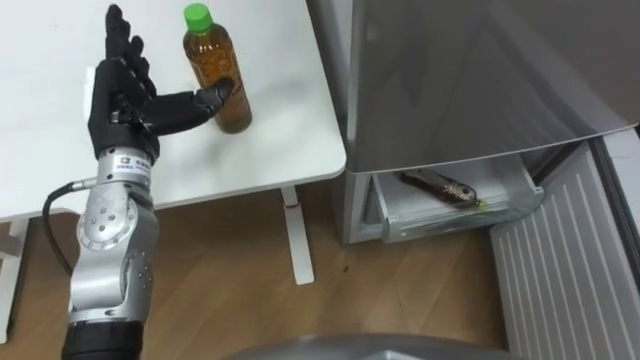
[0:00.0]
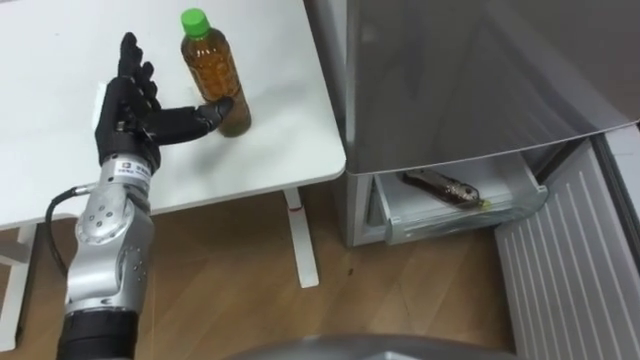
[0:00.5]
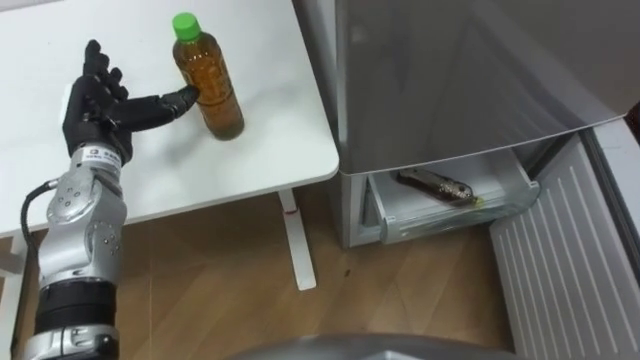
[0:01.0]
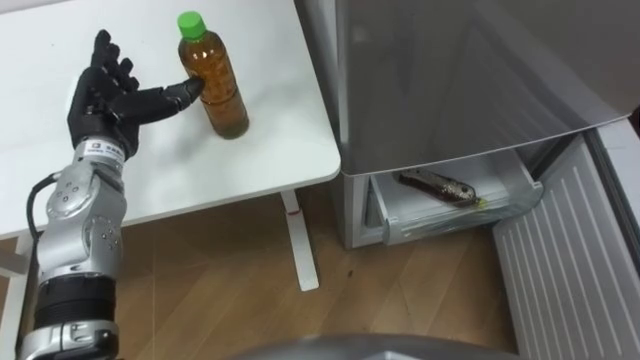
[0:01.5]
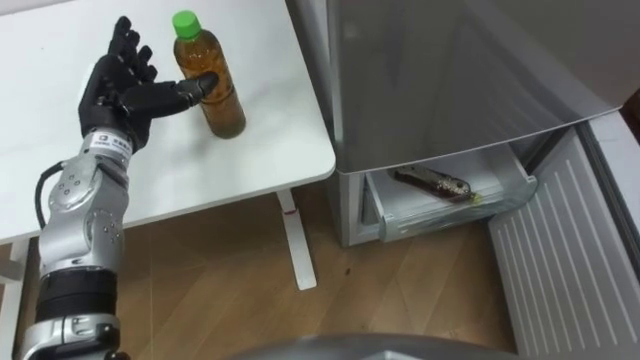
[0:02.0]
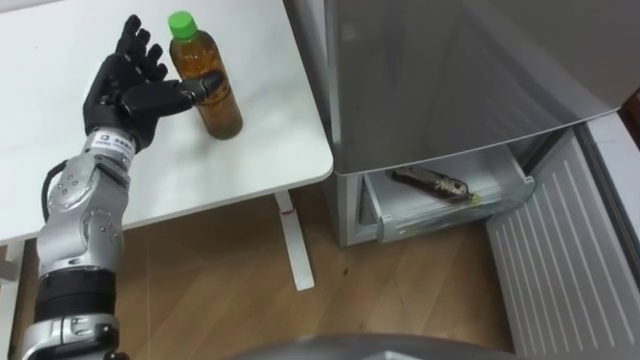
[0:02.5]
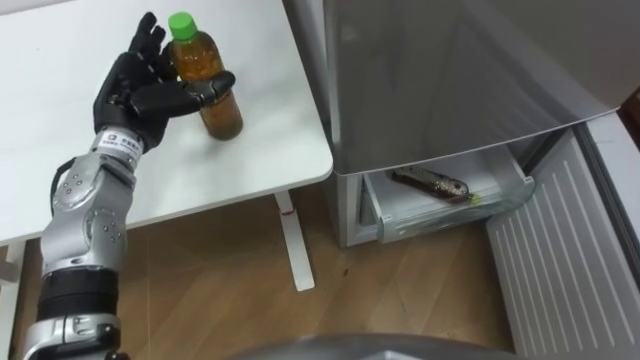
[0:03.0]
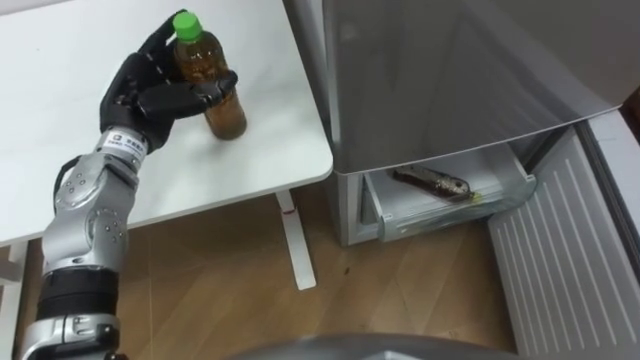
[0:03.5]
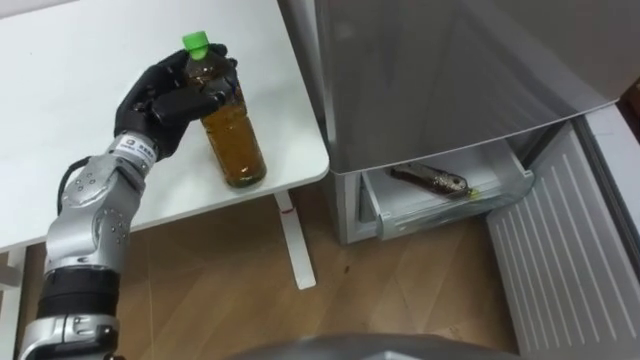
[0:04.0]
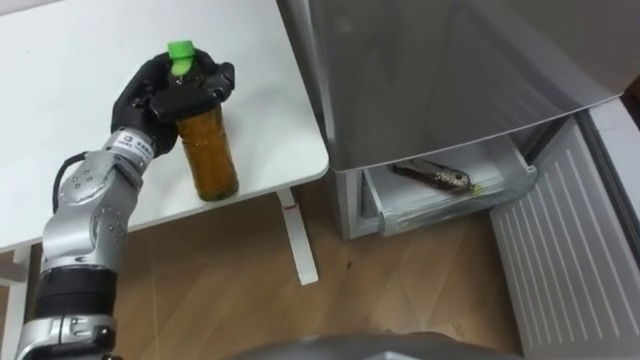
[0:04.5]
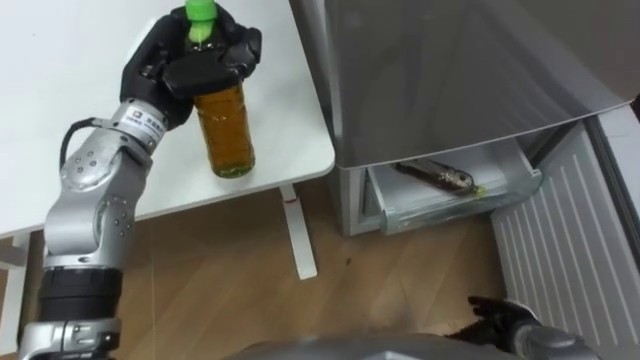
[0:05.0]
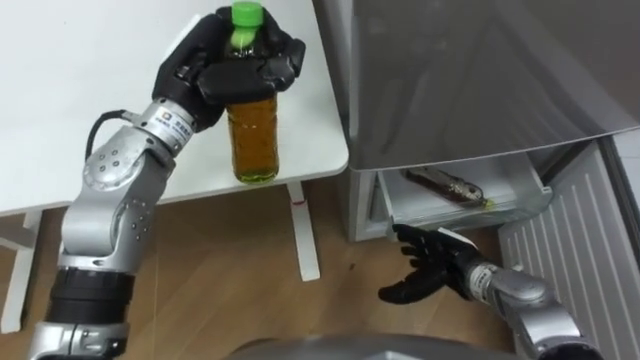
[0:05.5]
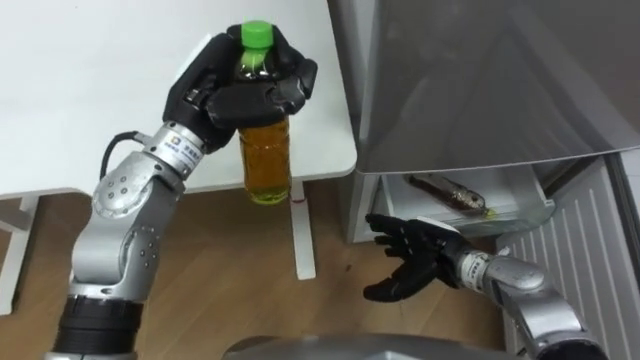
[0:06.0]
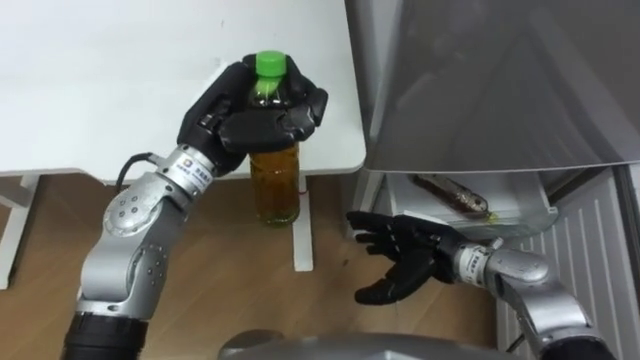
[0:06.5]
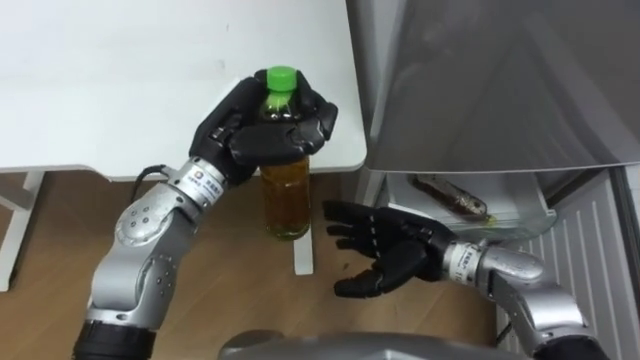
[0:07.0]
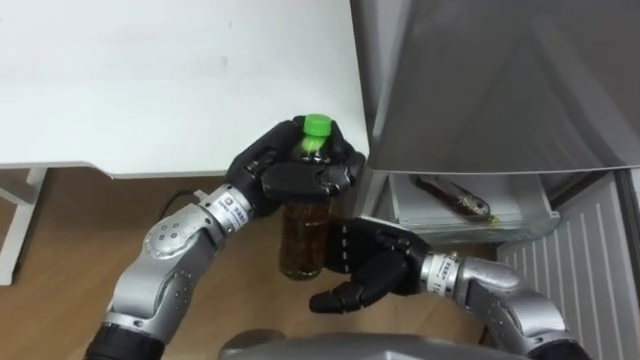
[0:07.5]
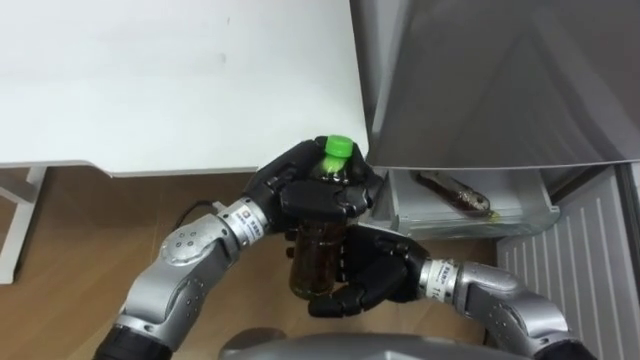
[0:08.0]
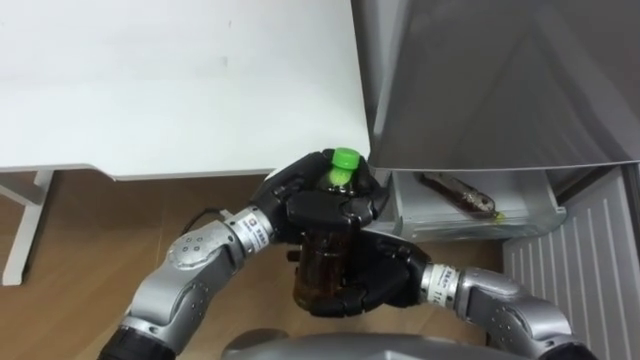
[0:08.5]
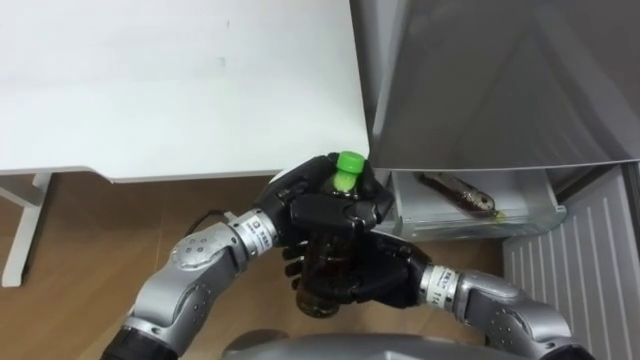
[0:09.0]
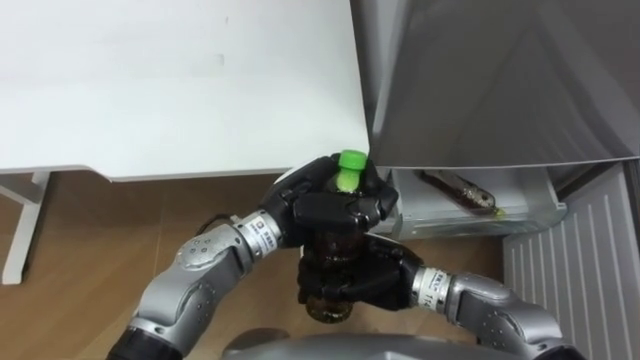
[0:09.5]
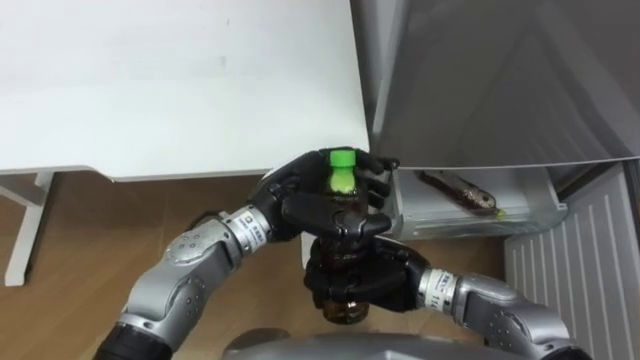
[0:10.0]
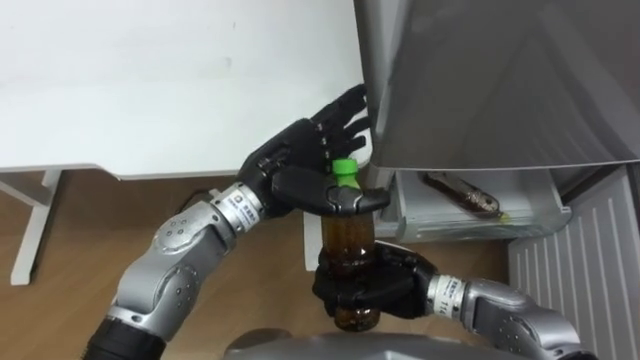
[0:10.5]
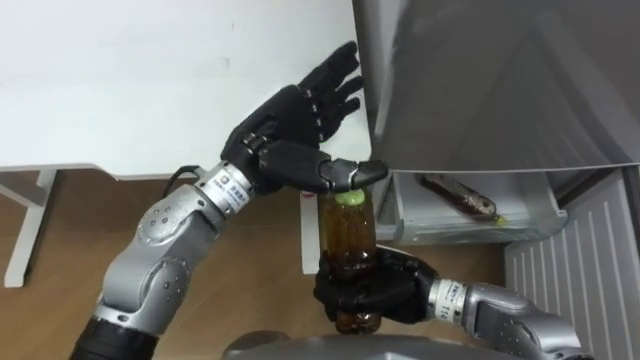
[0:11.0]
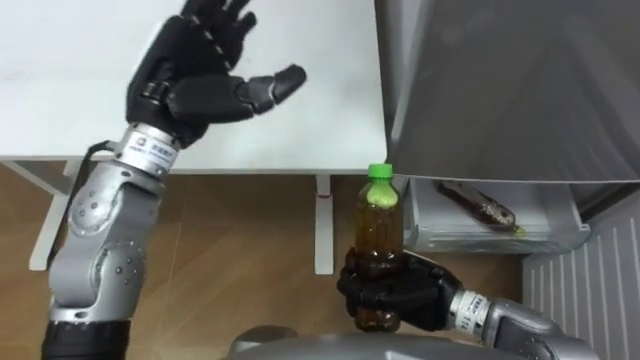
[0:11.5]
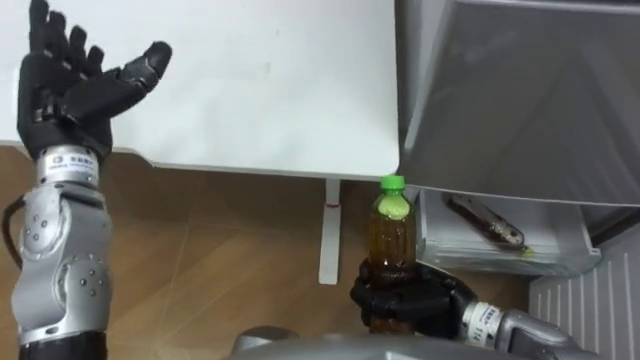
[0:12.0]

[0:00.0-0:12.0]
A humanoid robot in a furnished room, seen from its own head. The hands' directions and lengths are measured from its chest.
Task of the whole recording: Place the drink on the table on the bottom shelf of the refrigerator, then close the drawer and the refrigerator door.
0:00.0 to 0:02.0: The left hand moves approximately 5 cm.
0:02.0 to 0:04.0: The left hand closes its fingers.
0:04.0 to 0:06.0: The left hand goes approximately 10 cm to the right and upward.
0:06.0 to 0:08.0: The right hand is displaced to the left and upward by about 10 cm, while the left hand heads downward, to the right and backward, covering approximately 15 cm.
0:08.0 to 0:10.0: The right hand closes up. The left hand opens its fingers.
0:10.0 to 0:12.0: The left hand goes roughly 25 cm to the left, and opens its fingers. Meanwhile the right hand shifts approximately 5 cm to the right.

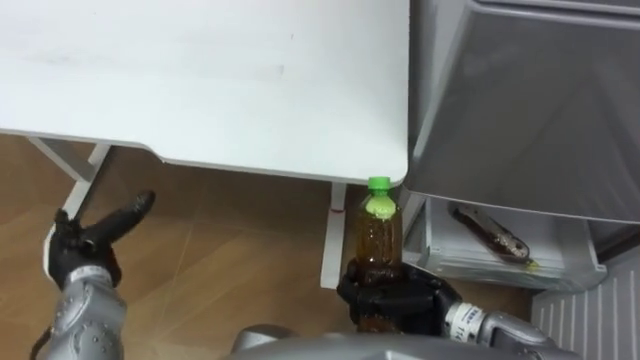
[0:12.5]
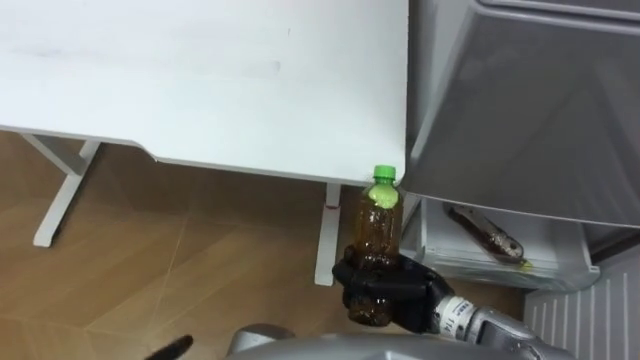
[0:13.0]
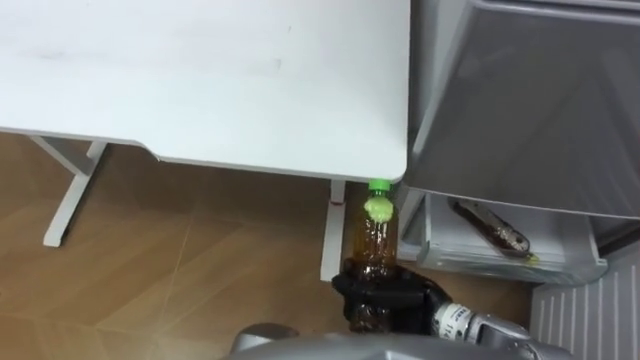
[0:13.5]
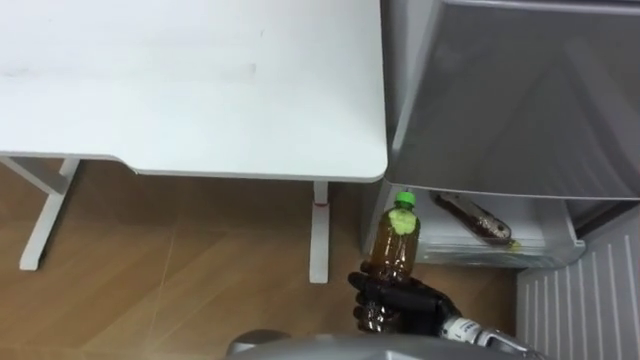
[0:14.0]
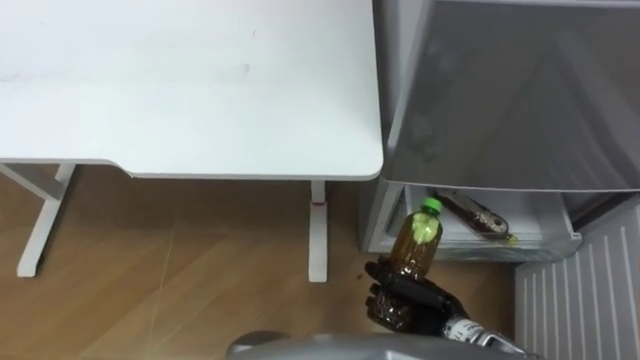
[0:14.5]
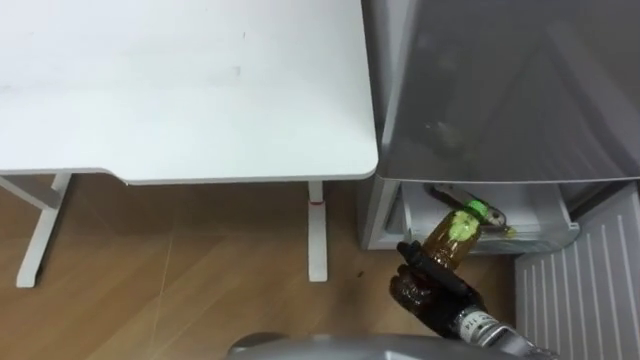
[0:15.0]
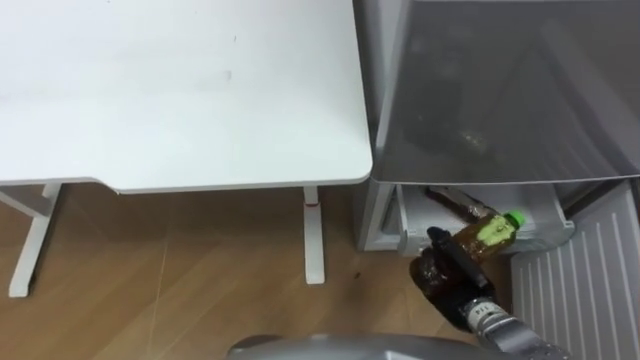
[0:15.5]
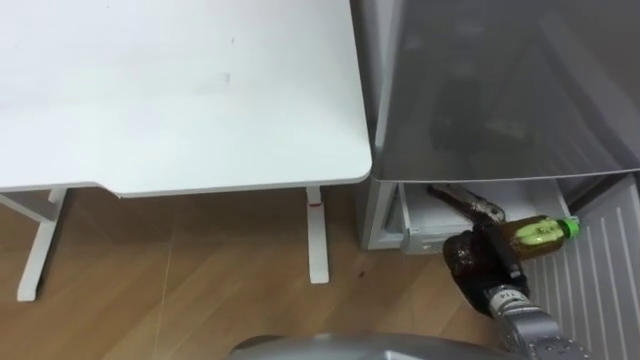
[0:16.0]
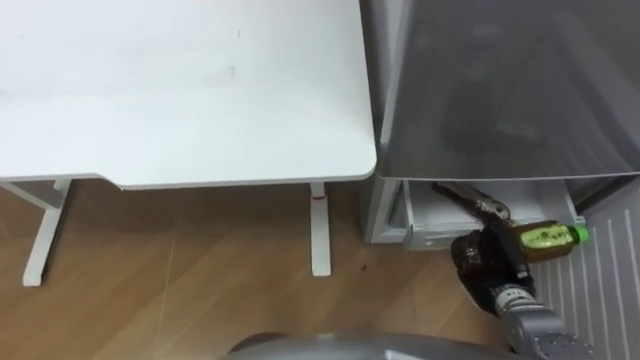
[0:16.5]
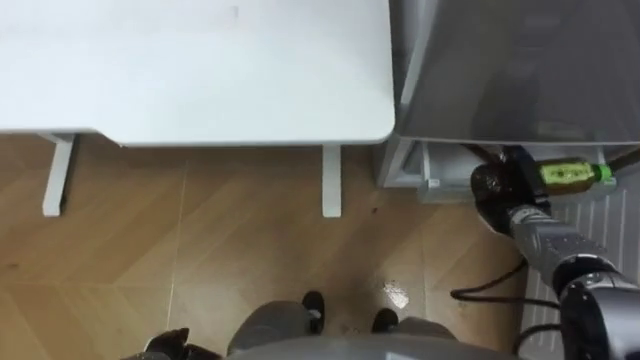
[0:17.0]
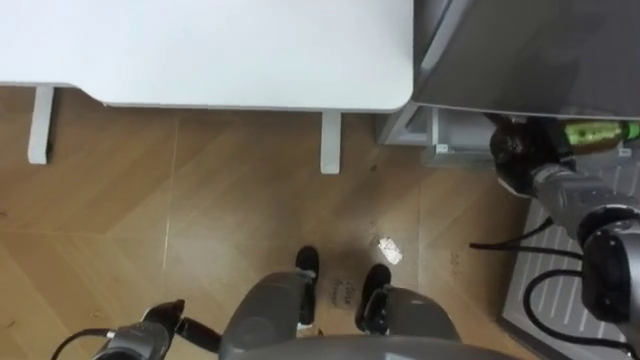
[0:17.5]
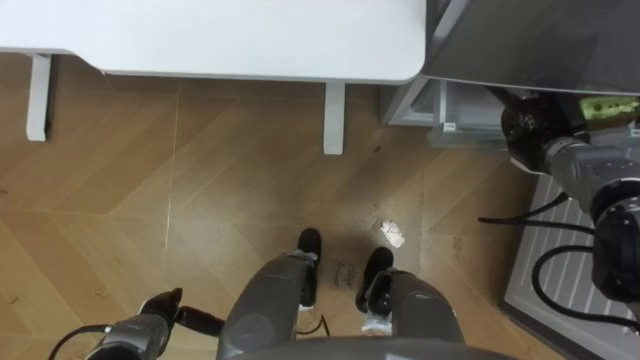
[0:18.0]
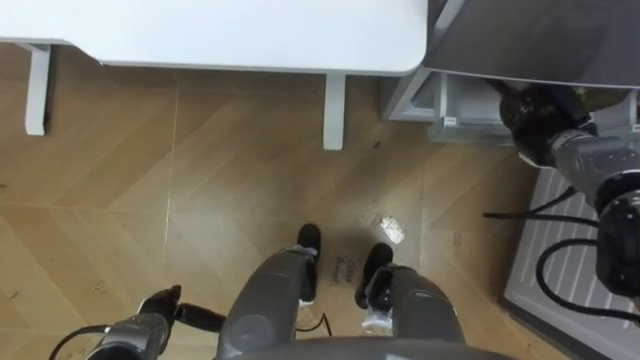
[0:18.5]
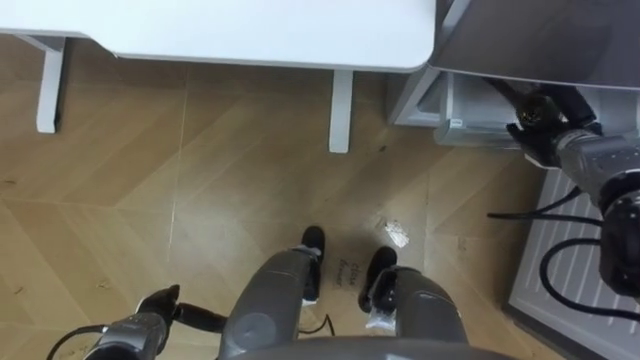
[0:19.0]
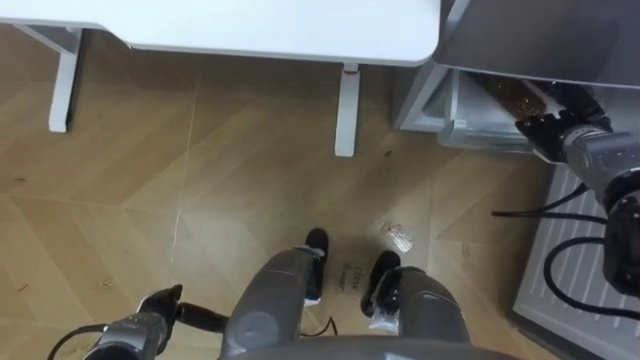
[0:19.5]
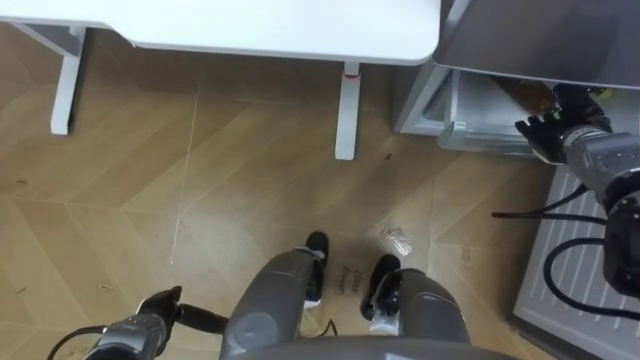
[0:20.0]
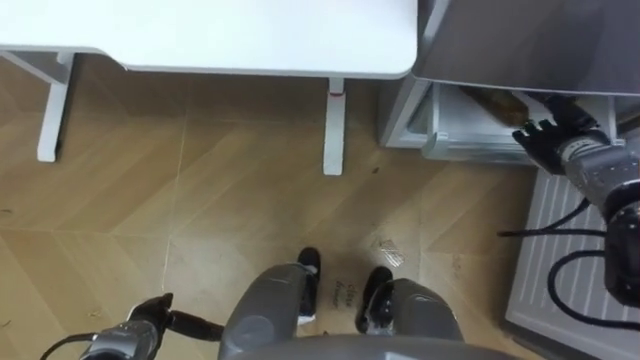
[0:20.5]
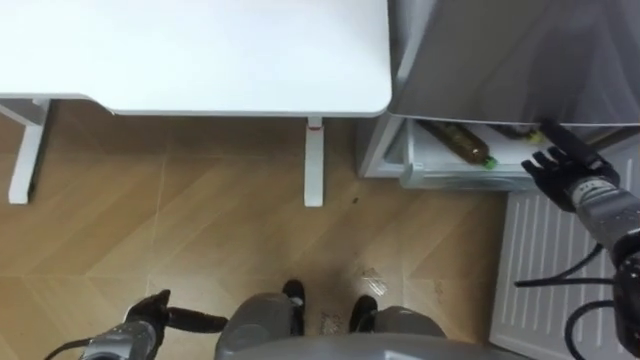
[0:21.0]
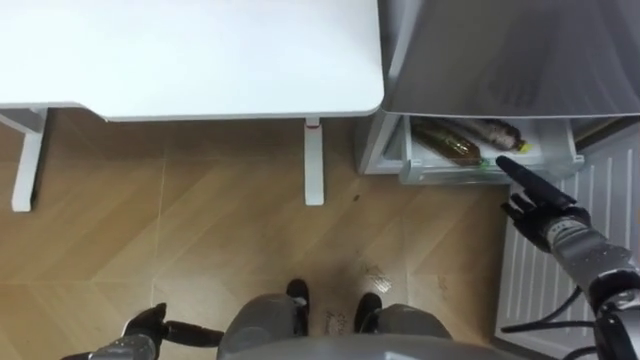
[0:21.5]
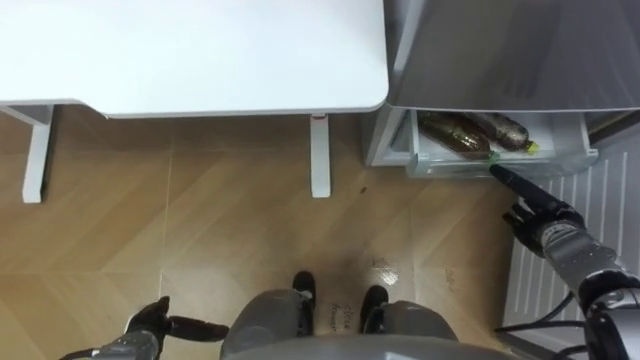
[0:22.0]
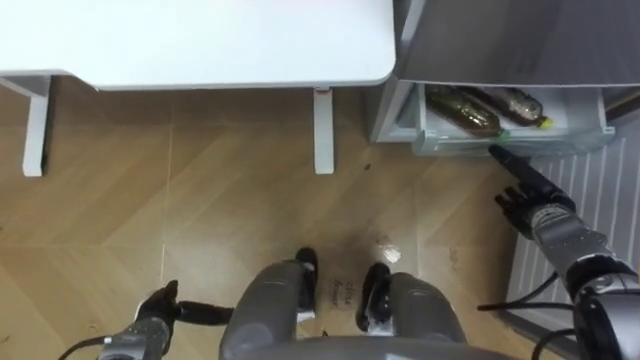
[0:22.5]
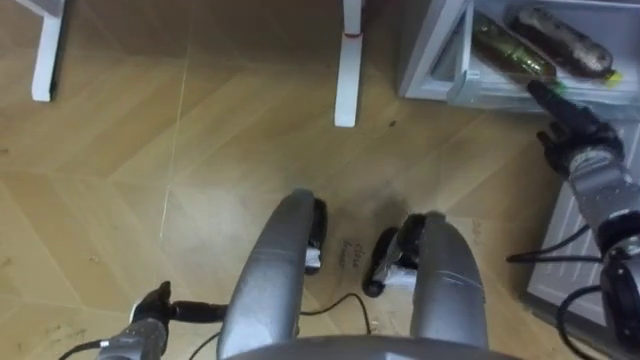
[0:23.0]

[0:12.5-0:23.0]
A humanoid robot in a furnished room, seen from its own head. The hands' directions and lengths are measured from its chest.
Task of the whole recording: Place the drink on the table on the bottom shelf of the refrigerator, then close the drawer and the refrigerator door.
0:12.5 to 0:14.5: The right hand goes about 5 cm downward.
0:14.5 to 0:16.5: The right hand goes some 10 cm to the right.
0:16.5 to 0:19.0: The right hand goes approximately 20 cm forward and upward, and opens.
0:19.0 to 0:21.0: The right hand shifts by about 5 cm.
